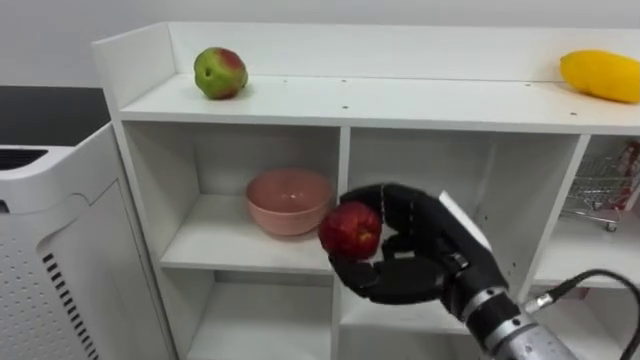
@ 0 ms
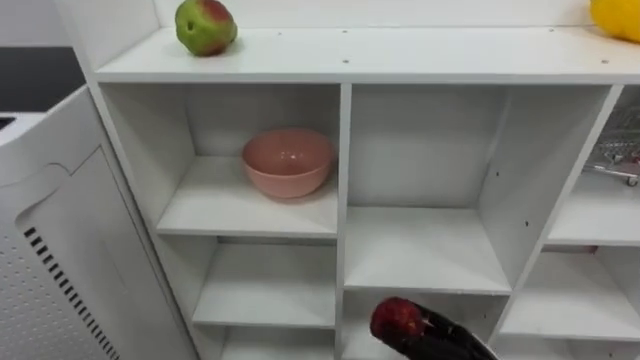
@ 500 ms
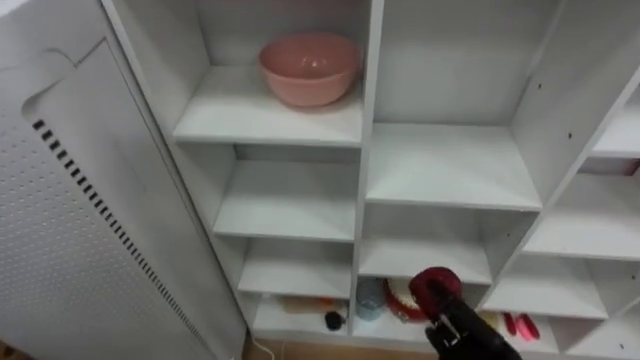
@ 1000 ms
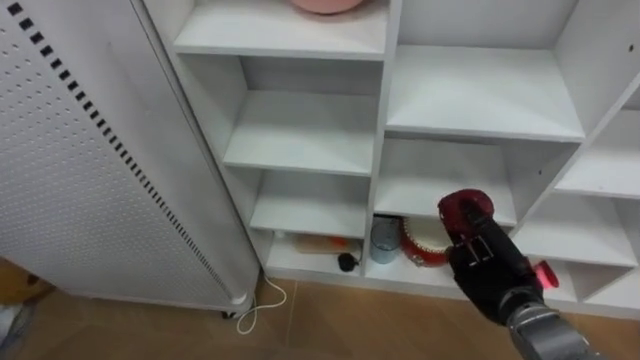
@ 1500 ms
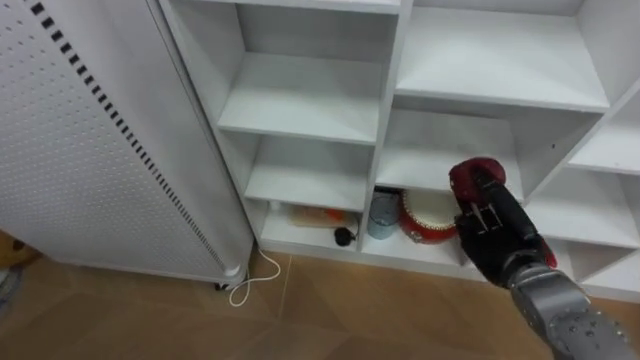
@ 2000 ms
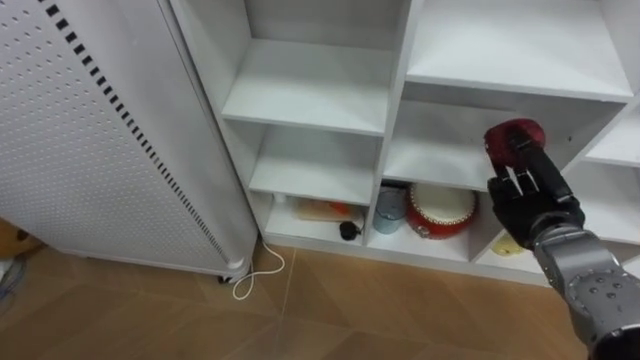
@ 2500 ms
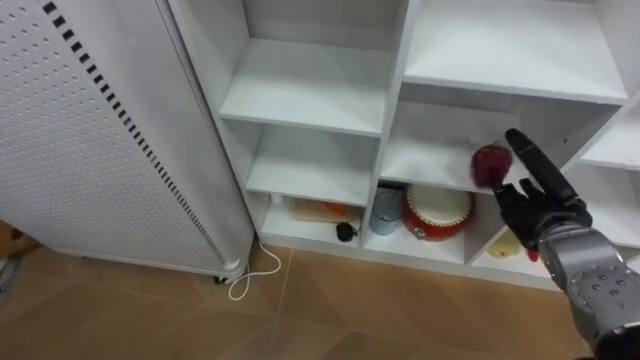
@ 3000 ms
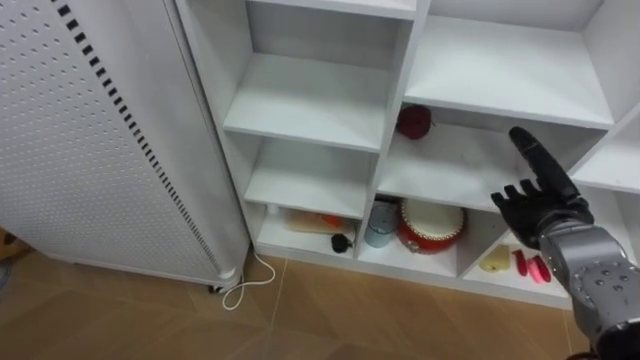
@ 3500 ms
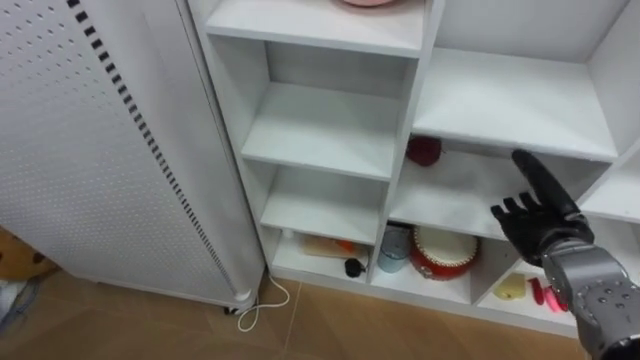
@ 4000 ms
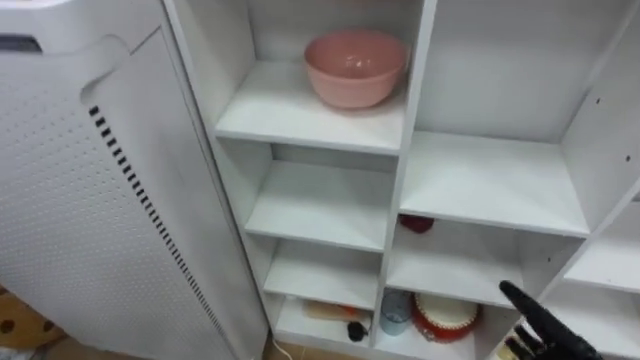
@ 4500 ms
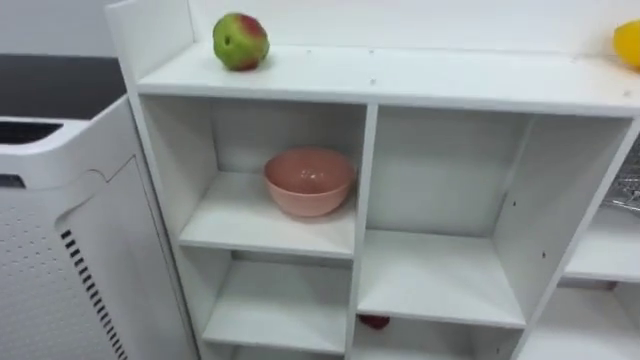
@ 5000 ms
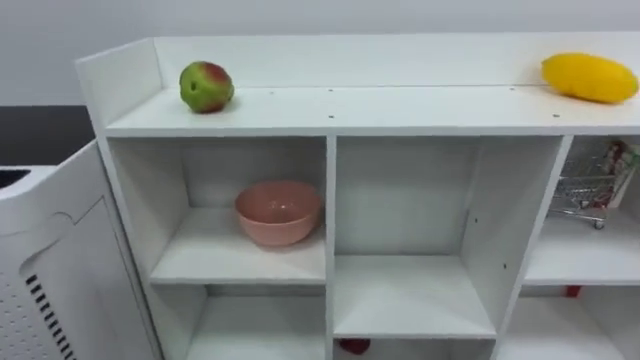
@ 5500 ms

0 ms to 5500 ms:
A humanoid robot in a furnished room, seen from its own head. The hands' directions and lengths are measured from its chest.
Task of the whole recording: Put the apple in the cell in the second column from the left and the second row from the top.
2000 ms to 3500 ms: The right hand shifts by some 5 cm, and opens up.

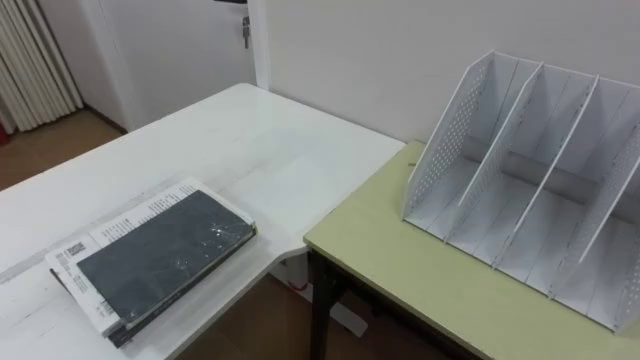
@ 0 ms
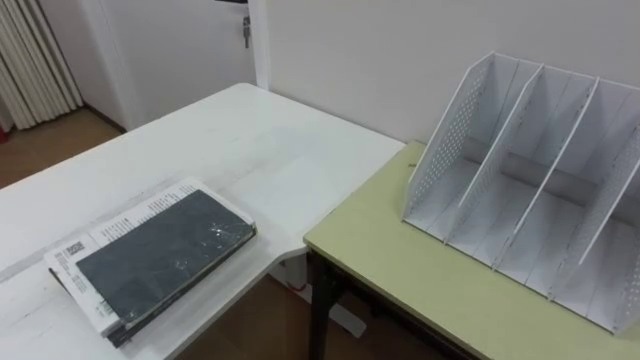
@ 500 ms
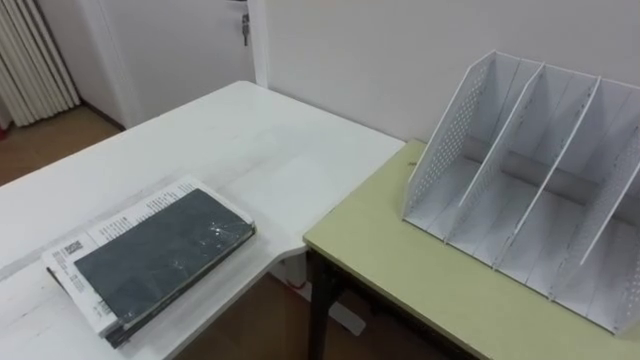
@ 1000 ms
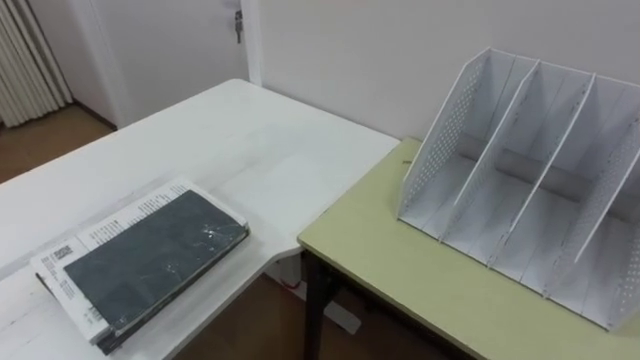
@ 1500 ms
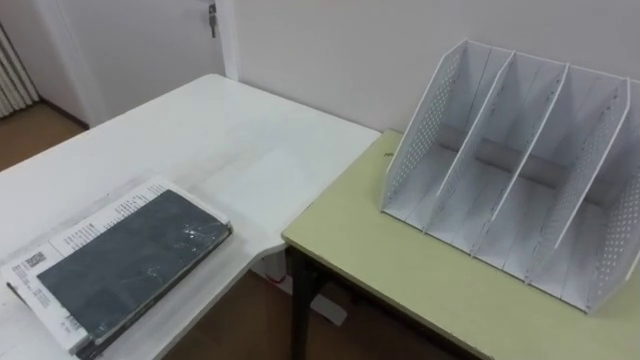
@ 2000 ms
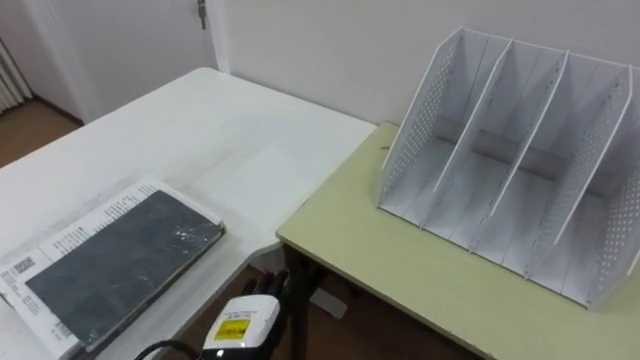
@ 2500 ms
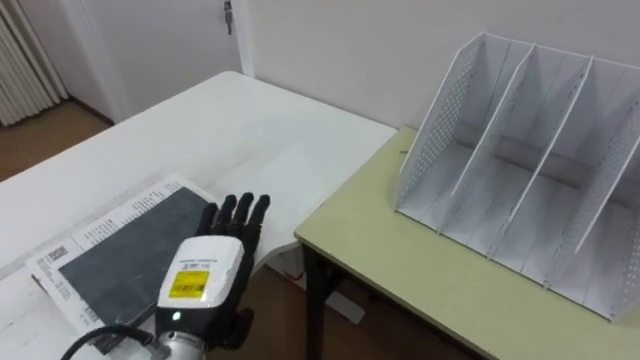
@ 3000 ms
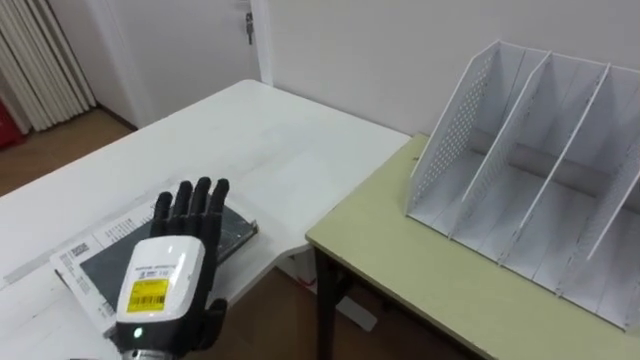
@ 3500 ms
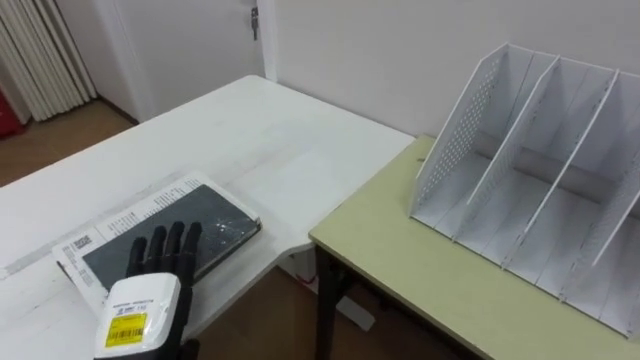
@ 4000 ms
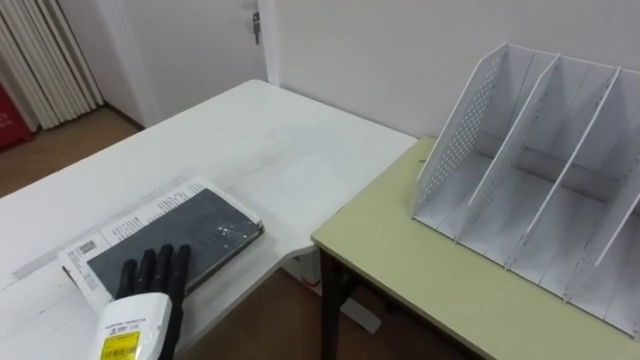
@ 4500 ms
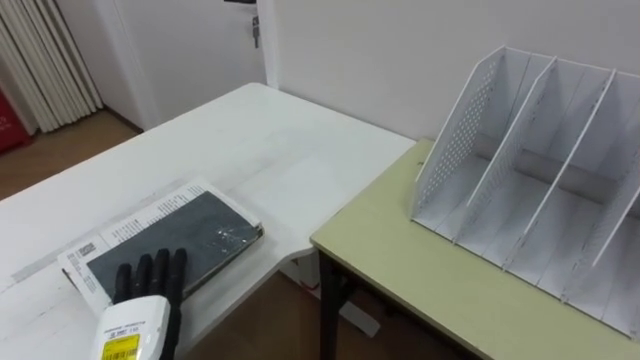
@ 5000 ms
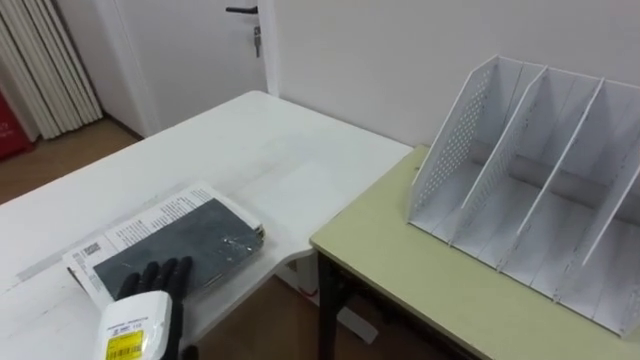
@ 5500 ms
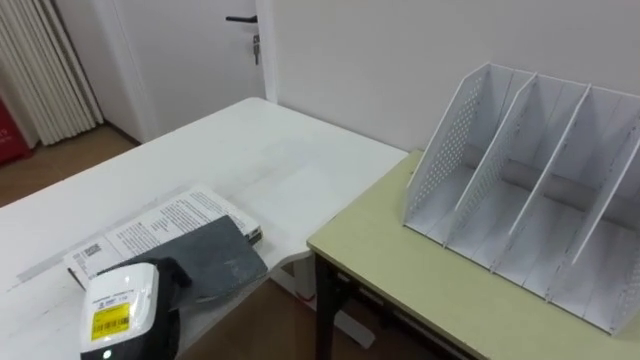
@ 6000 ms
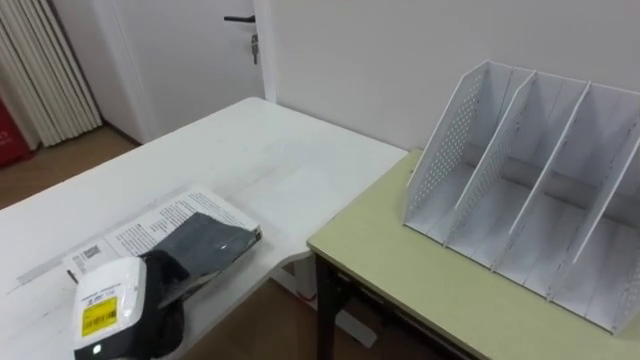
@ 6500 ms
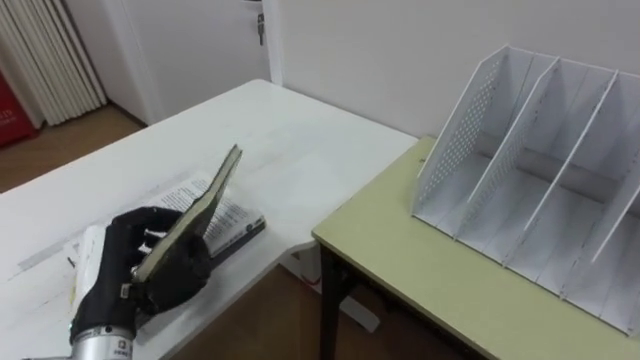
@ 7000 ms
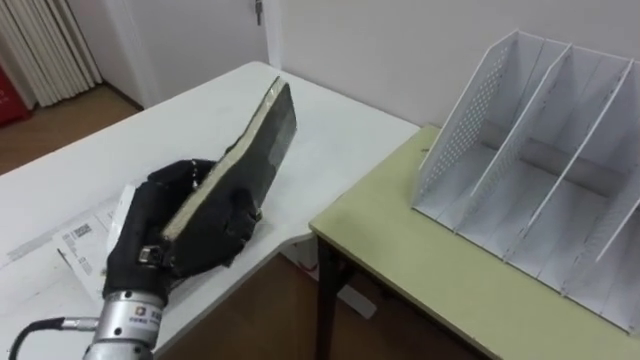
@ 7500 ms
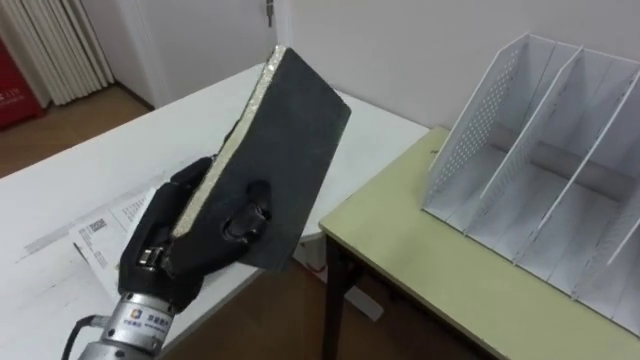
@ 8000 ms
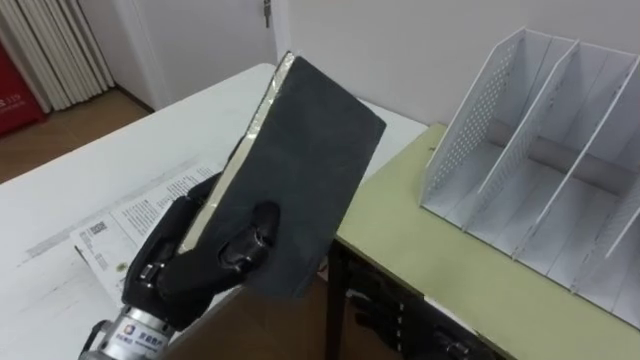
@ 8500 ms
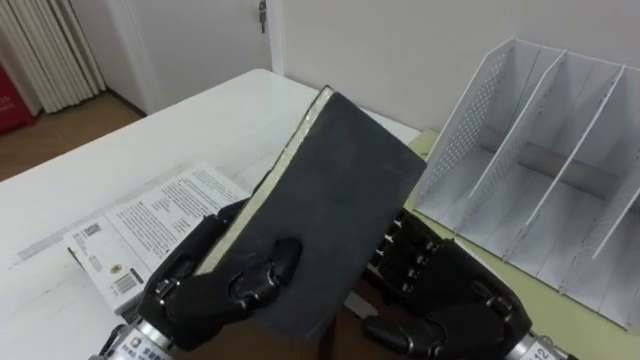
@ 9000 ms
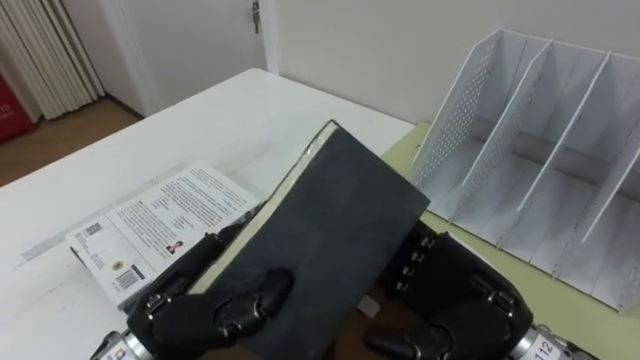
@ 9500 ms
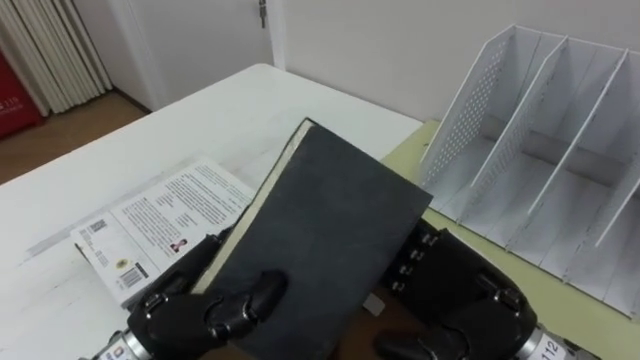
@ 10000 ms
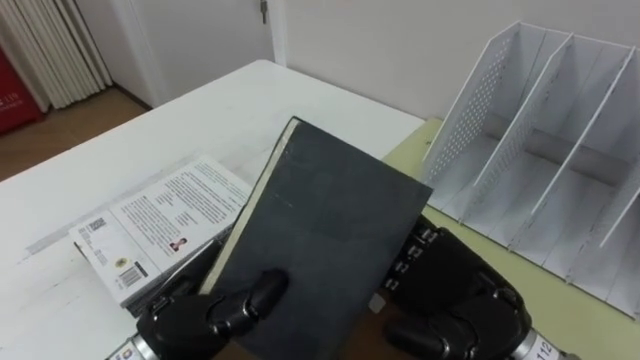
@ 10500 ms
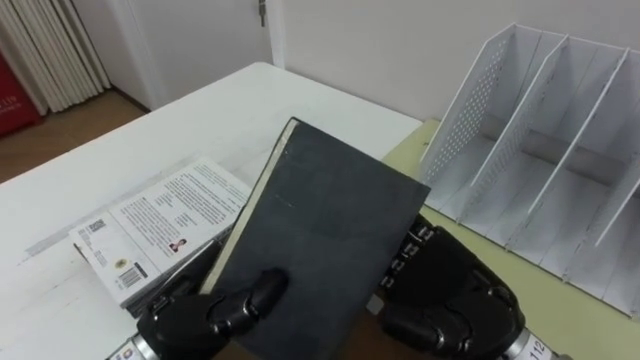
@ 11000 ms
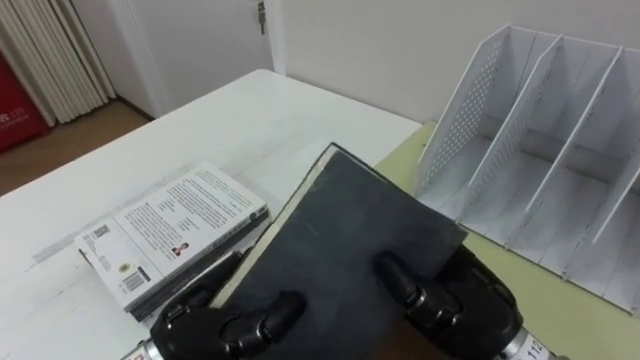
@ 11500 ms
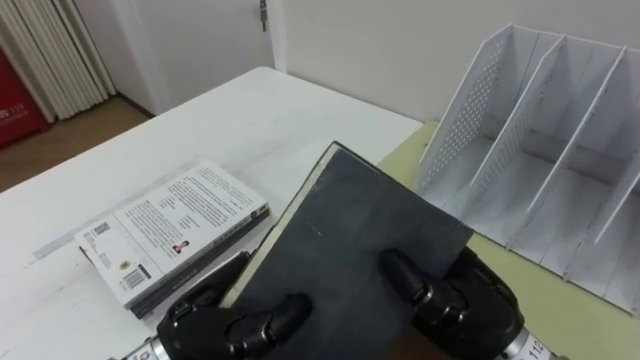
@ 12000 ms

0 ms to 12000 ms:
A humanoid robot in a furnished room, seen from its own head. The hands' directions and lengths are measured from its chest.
Task of the whole recording: Put the books on the table onto the bookshelf.
4000 ms to 6000 ms: The left hand closes.
6000 ms to 8000 ms: The left hand shifts roughly 15 cm upward and to the right.
8000 ms to 10000 ms: The left hand changes place by approximately 5 cm.
10000 ms to 12000 ms: The right hand closes up.

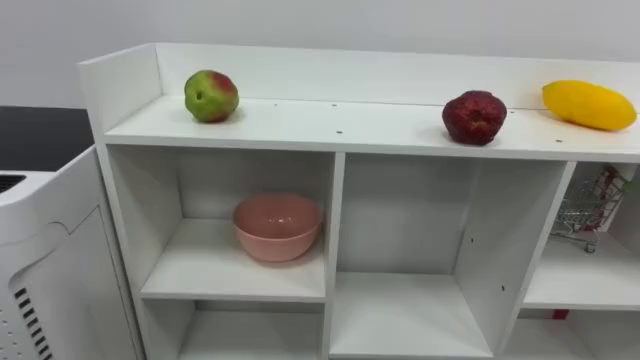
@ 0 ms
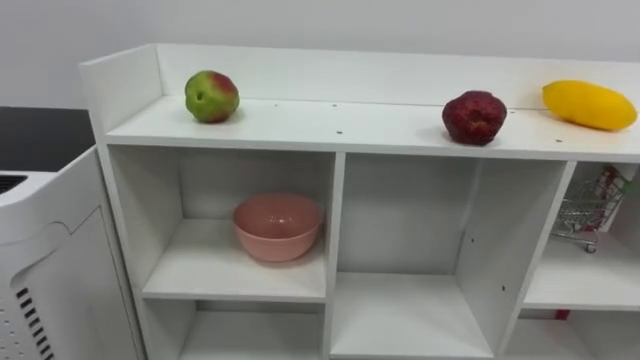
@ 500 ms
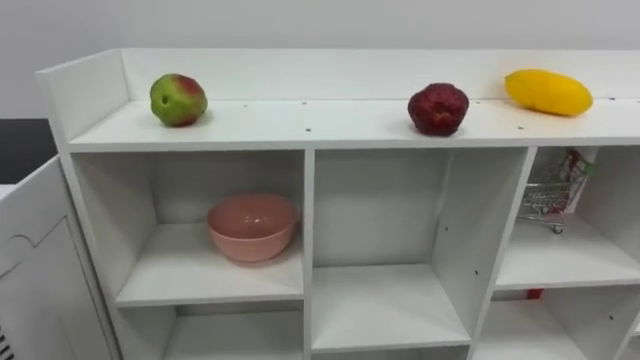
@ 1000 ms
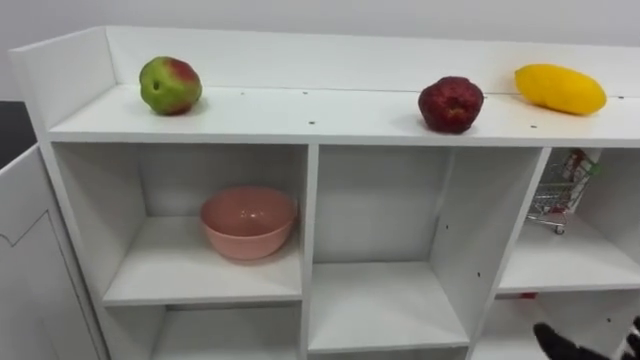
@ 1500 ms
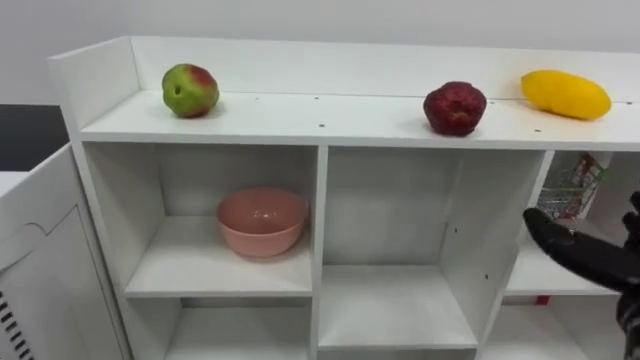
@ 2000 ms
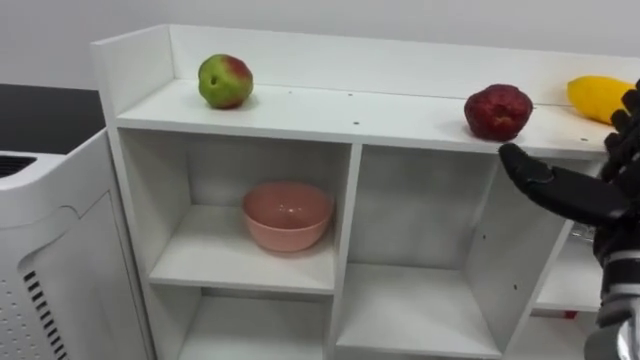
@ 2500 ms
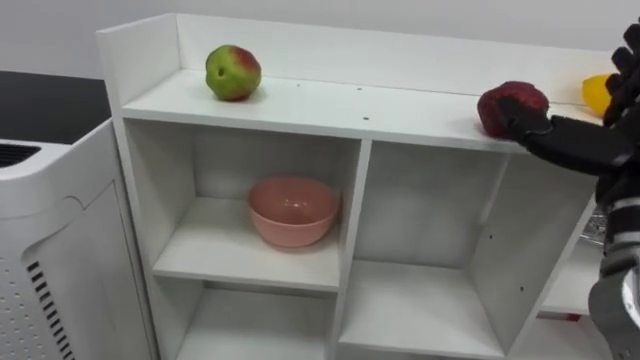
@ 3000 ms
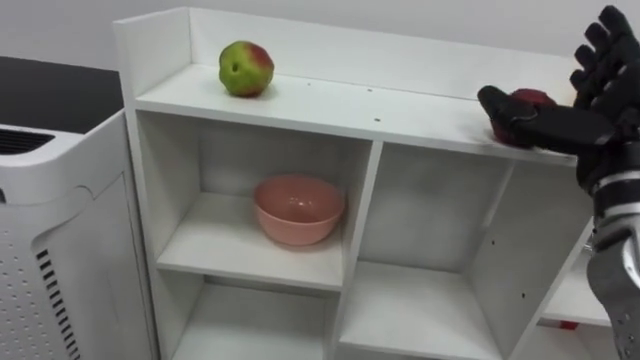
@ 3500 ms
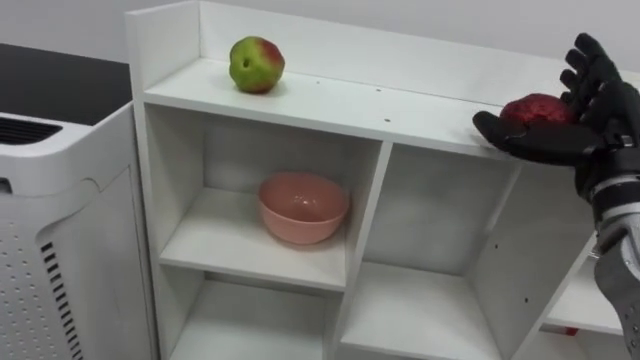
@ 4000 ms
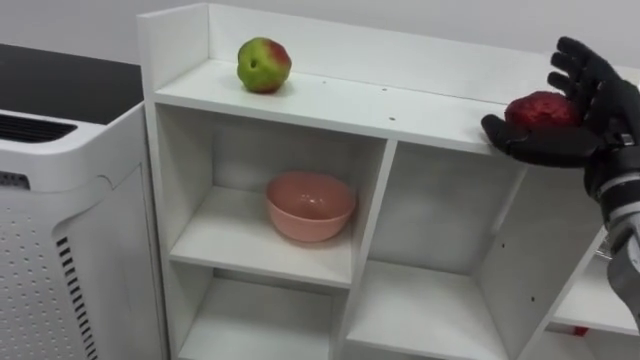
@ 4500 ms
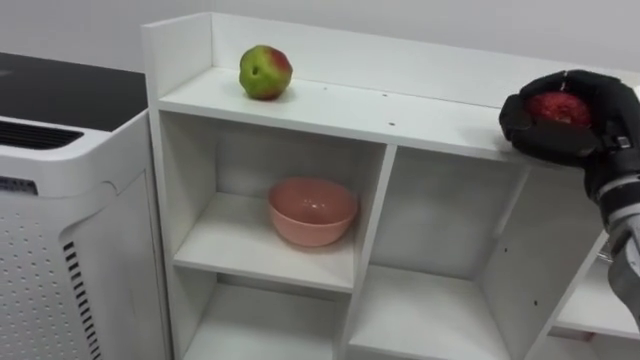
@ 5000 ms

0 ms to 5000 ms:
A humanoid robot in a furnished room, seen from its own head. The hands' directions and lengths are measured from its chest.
Task of the whole recording: Put the apple in the cell in the second column from the left and the second row from the top.
2500 ms to 5000 ms: The right hand moves forward, some 5 cm, and closes its fingers.
